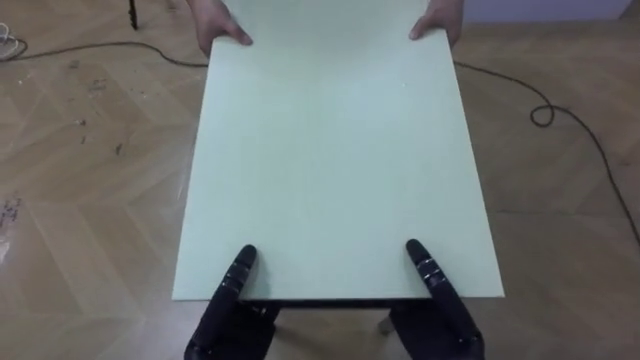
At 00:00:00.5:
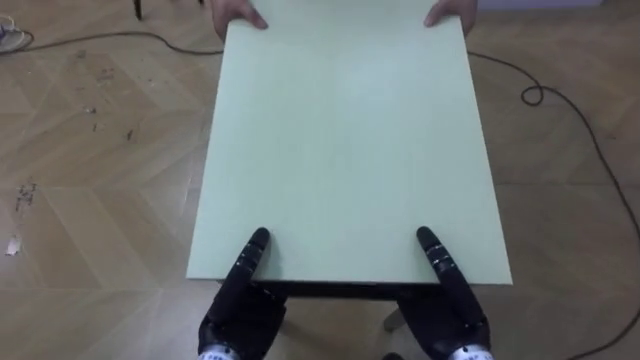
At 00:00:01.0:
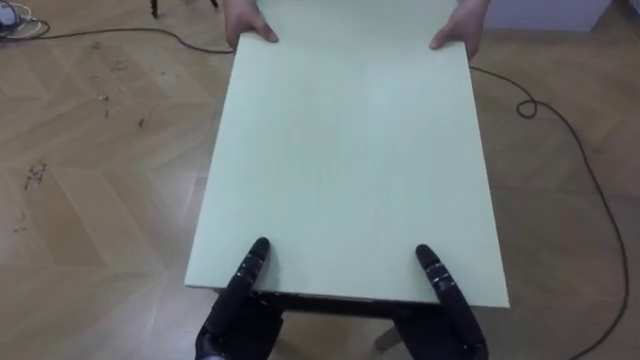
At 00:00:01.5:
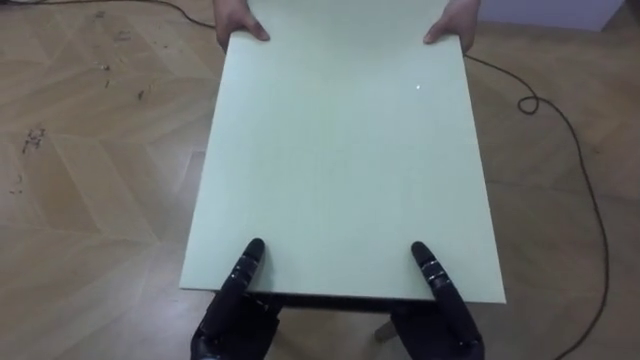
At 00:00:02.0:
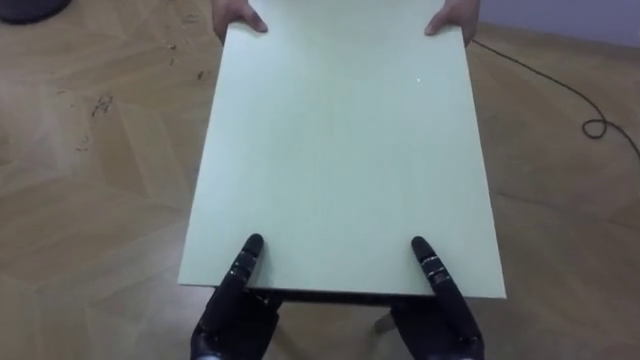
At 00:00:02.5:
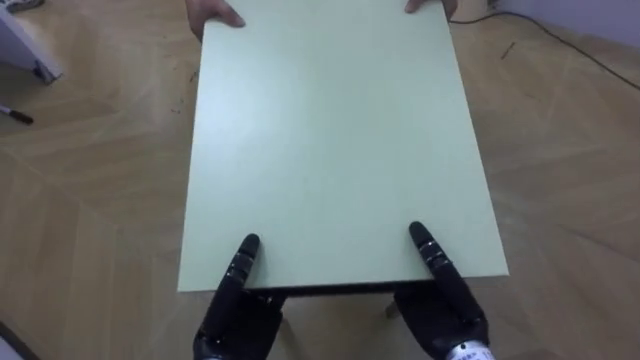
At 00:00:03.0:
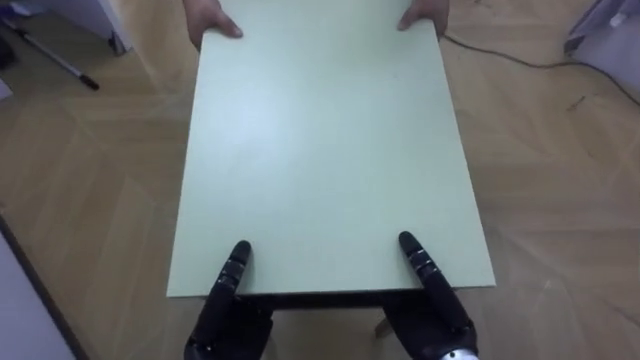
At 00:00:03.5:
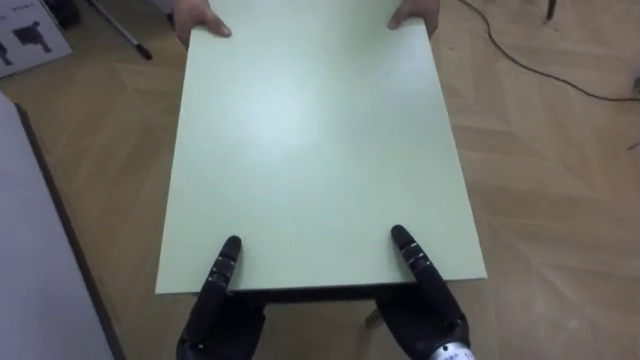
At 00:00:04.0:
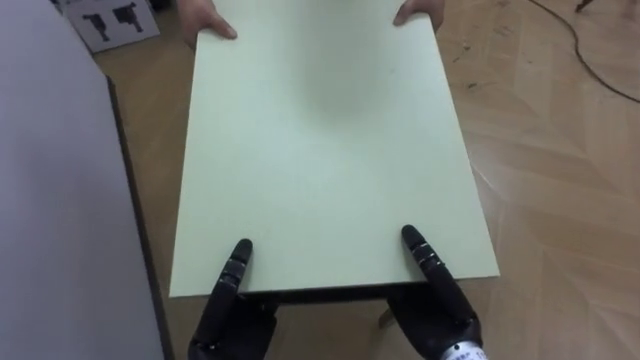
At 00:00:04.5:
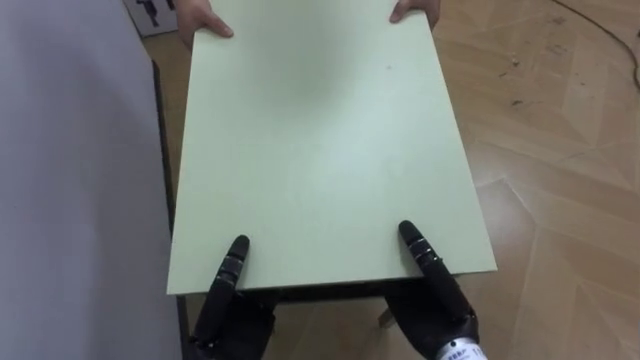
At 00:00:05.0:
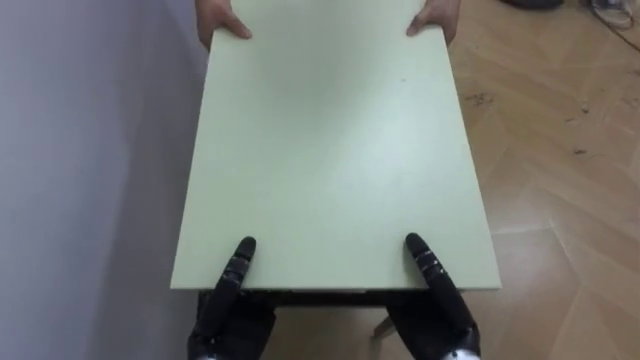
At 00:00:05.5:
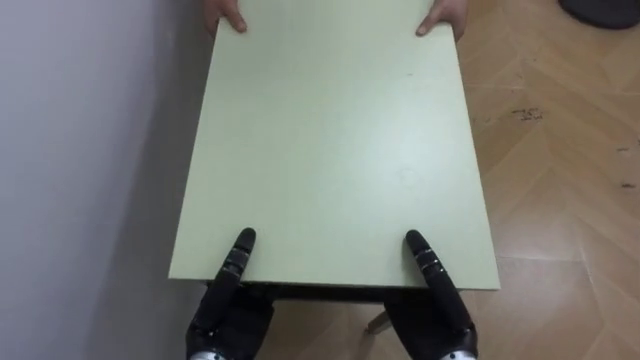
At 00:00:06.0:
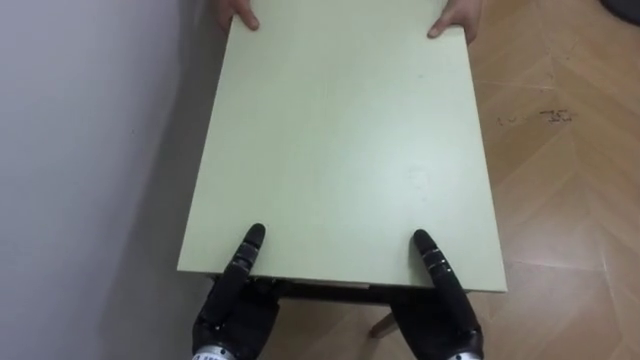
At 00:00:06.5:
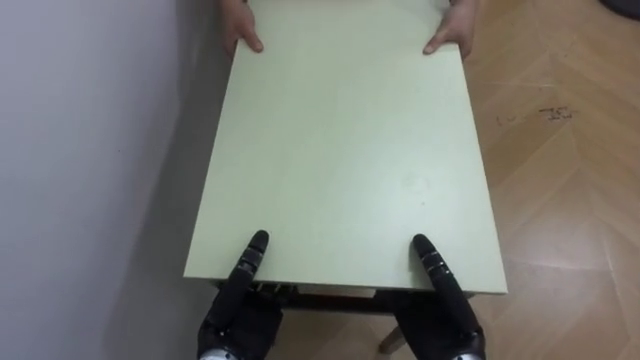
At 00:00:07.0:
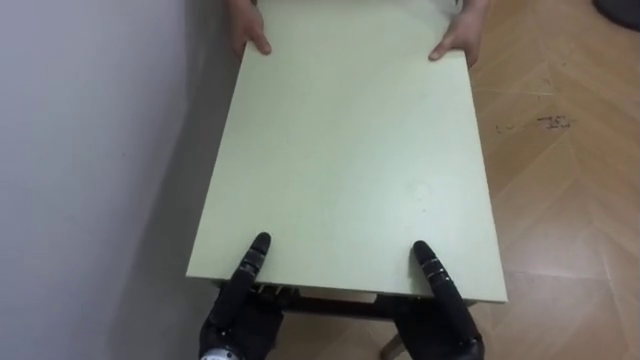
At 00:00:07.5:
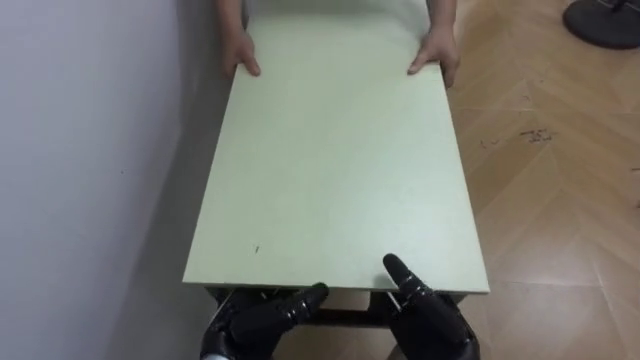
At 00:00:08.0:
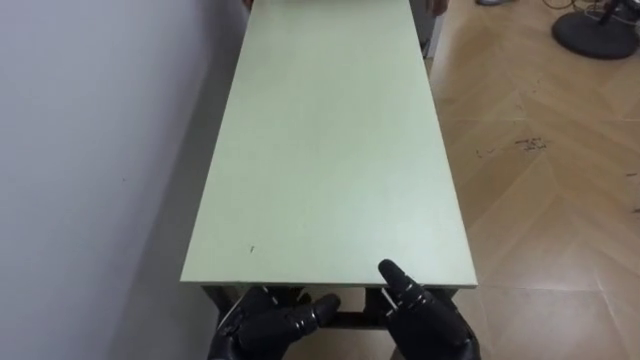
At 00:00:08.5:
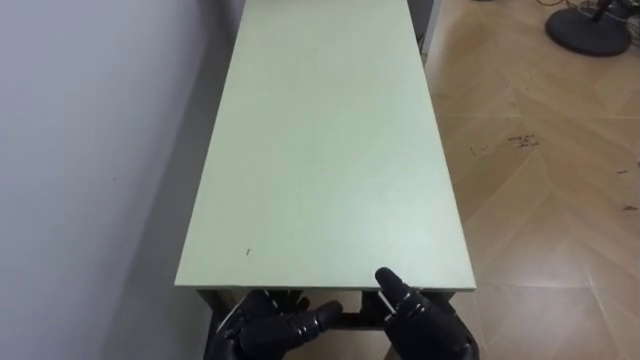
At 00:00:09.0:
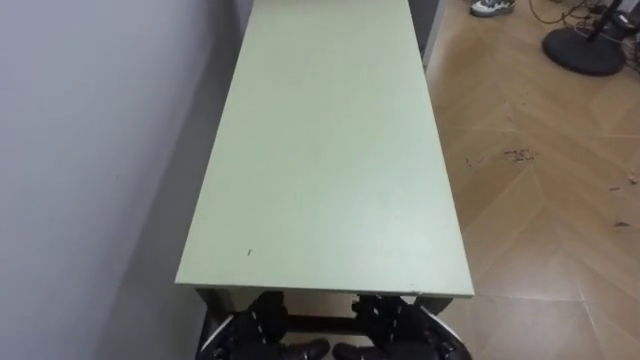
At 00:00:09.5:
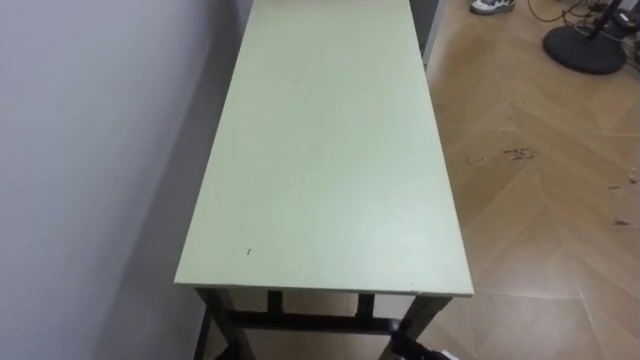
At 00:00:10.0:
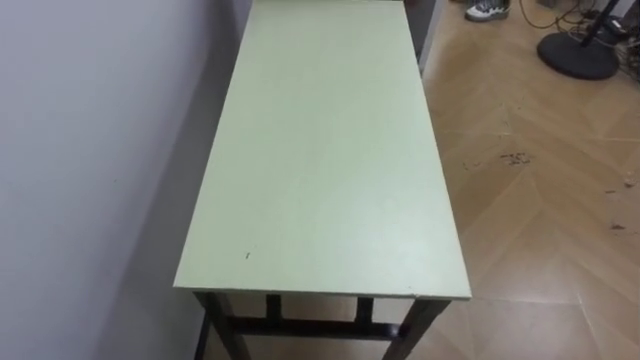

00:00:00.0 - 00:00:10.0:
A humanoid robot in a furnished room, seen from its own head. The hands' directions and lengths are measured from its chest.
Task of the whole recording: Move the table to the back left with someone.
00:00:02.0 - 00:00:04.0: The robot's body swings about 55 degrees to its left.
00:00:04.0 - 00:00:06.0: The robot rotates about 30 degrees to its left.
00:00:06.0 - 00:00:08.0: The left hand opens. The right hand opens.

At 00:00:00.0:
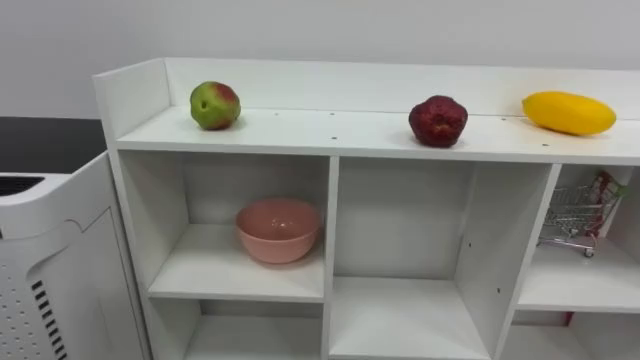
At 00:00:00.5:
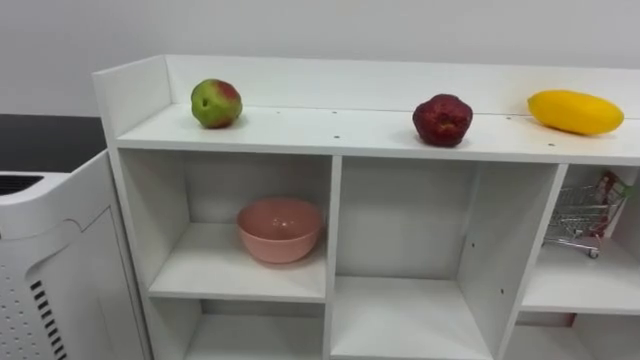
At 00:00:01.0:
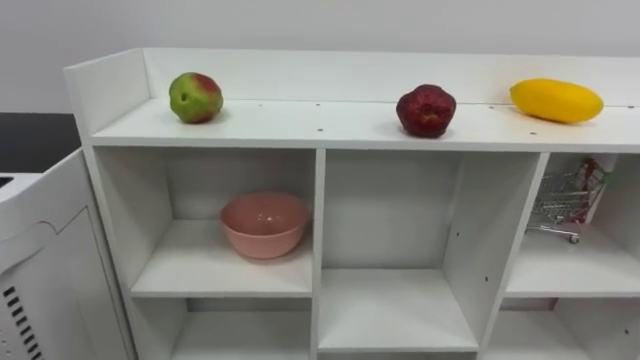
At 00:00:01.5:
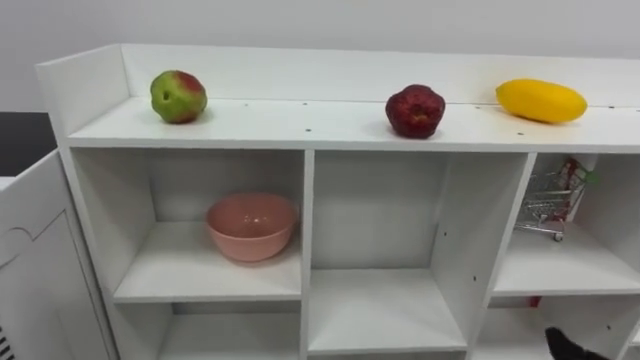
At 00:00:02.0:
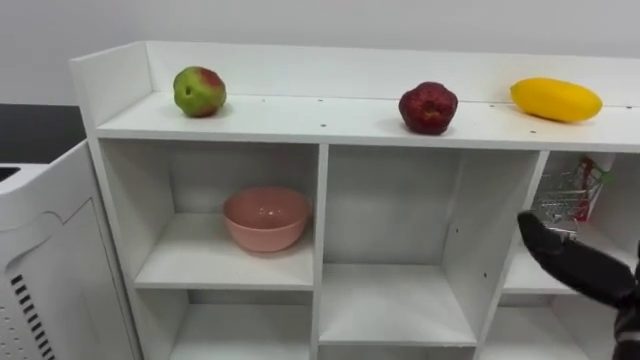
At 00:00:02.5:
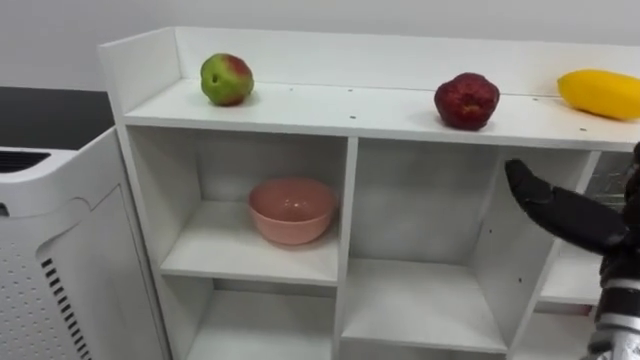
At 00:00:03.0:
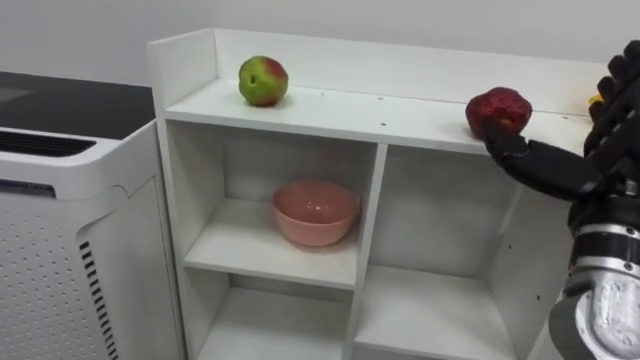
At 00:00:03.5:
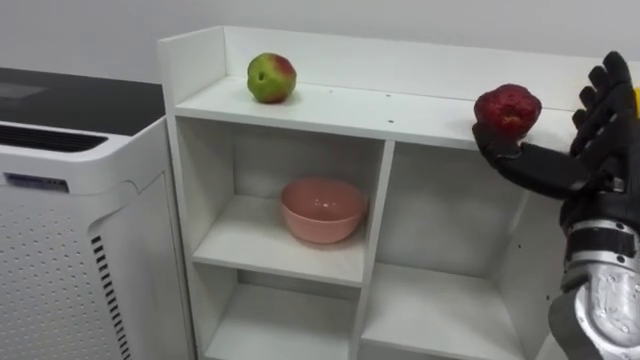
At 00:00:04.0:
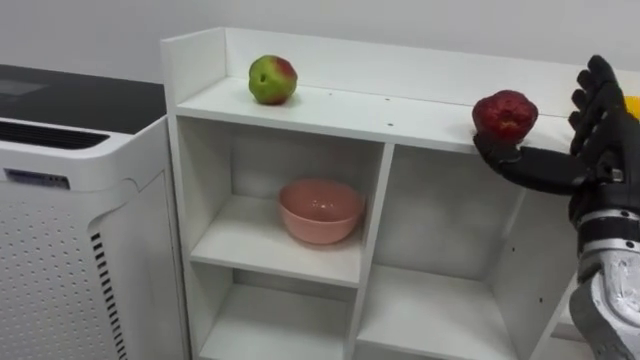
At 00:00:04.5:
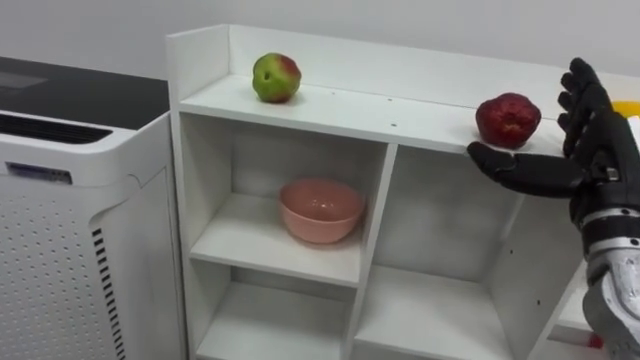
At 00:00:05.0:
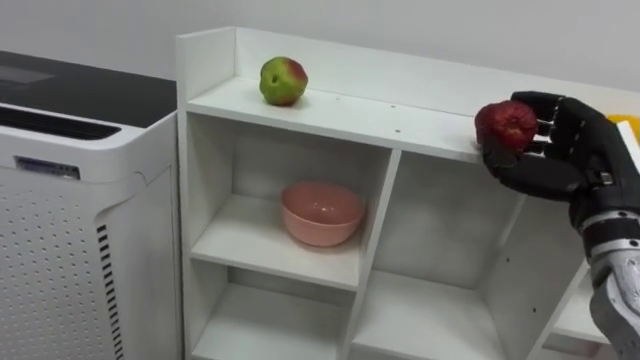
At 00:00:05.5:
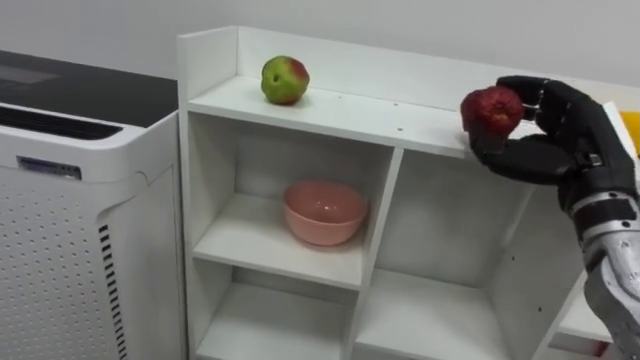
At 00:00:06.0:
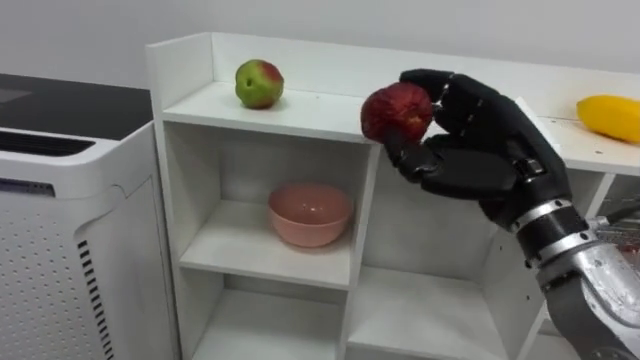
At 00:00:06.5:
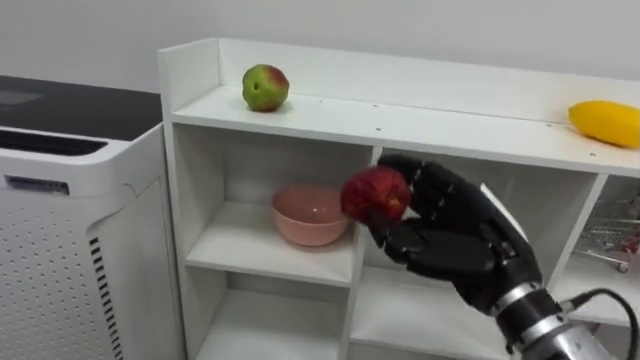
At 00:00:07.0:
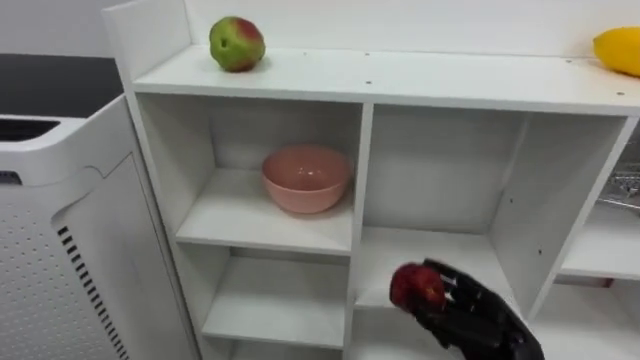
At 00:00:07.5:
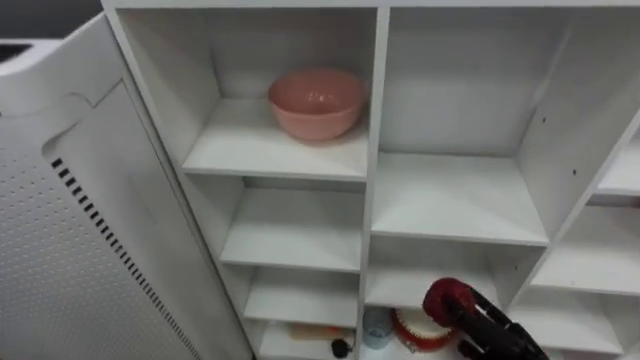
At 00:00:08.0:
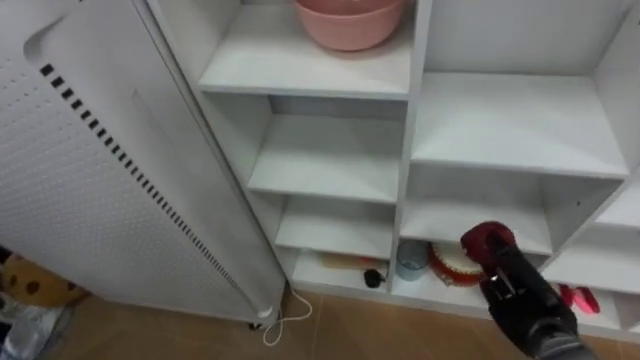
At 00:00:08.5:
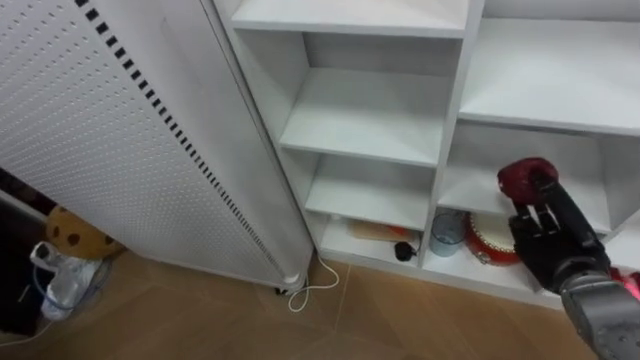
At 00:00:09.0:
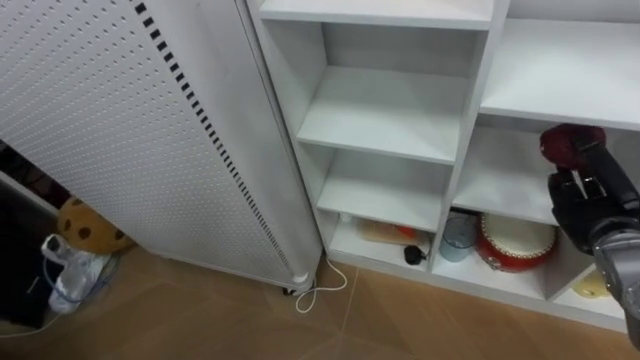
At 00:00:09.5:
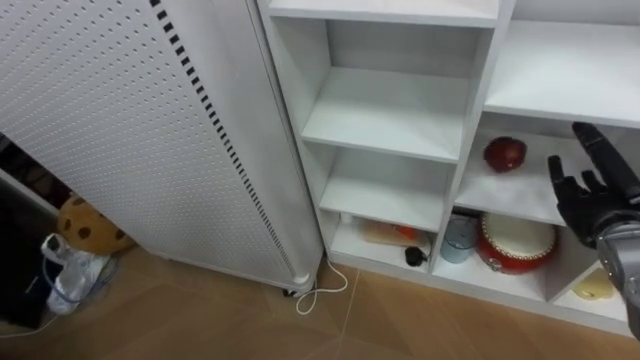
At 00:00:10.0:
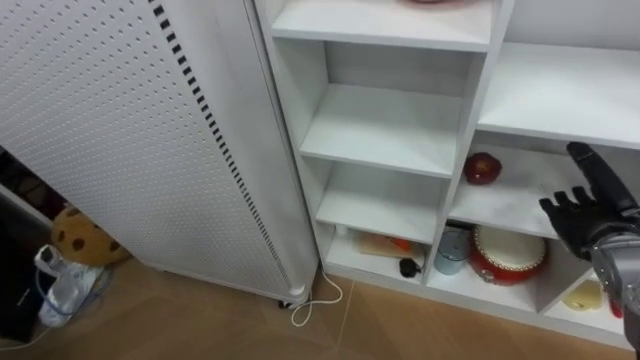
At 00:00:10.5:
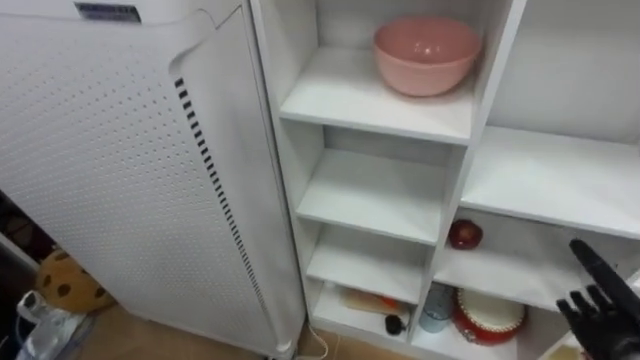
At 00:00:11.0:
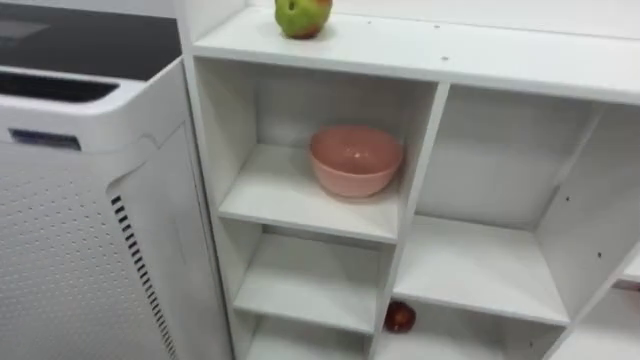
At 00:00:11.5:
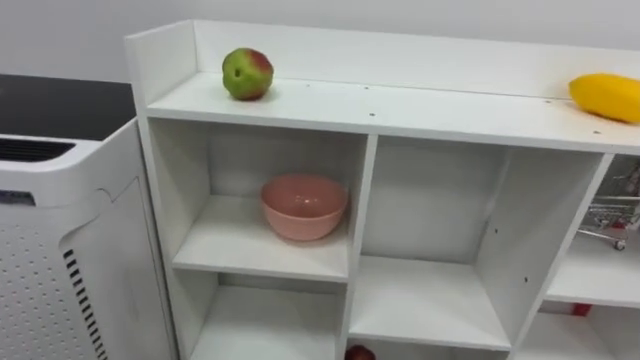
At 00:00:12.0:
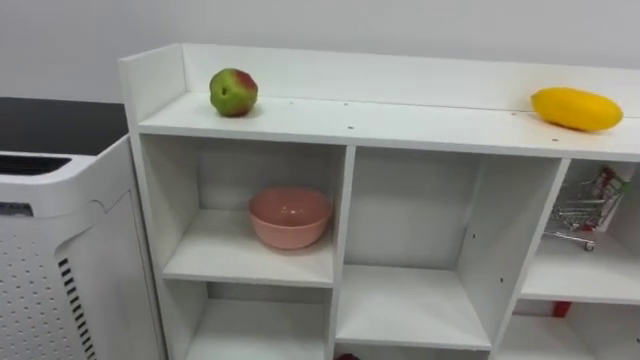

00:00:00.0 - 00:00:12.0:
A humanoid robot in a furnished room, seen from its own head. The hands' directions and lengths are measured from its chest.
Task of the whole recording: Put the apple in the cell in the second column from the left and the second row from the top.
00:00:04.0 - 00:00:06.0: The right hand heads to the left, covering about 10 cm, and closes.
00:00:08.0 - 00:00:10.0: The right hand goes roughly 15 cm upward and to the right, and opens.
